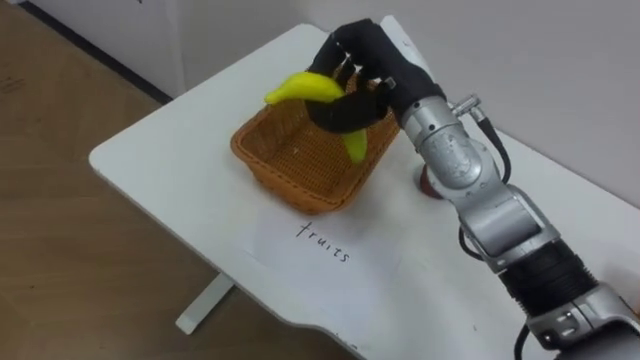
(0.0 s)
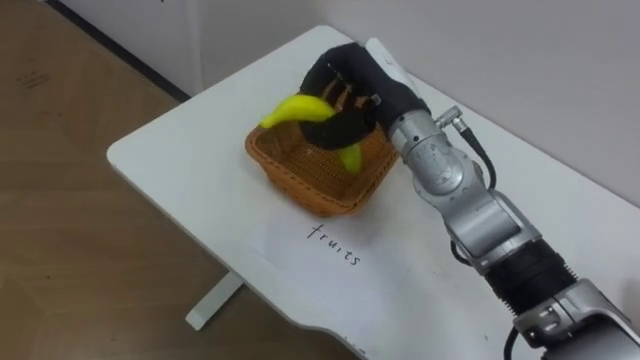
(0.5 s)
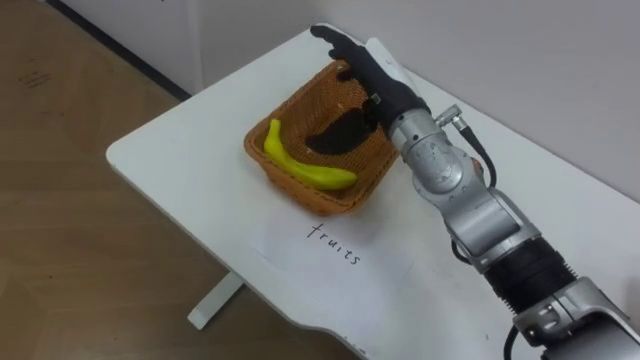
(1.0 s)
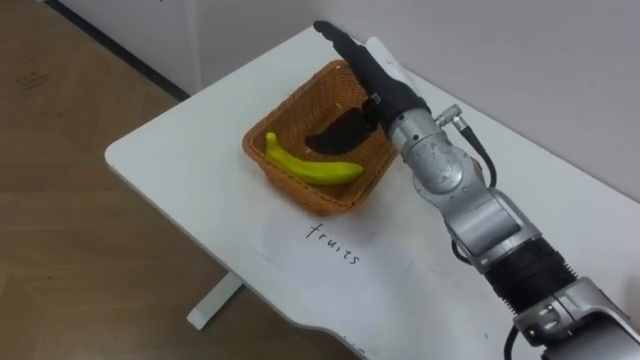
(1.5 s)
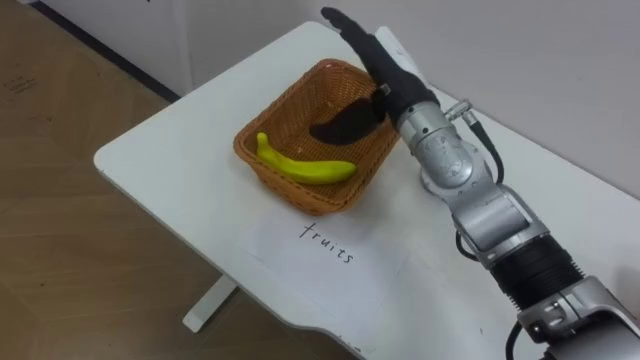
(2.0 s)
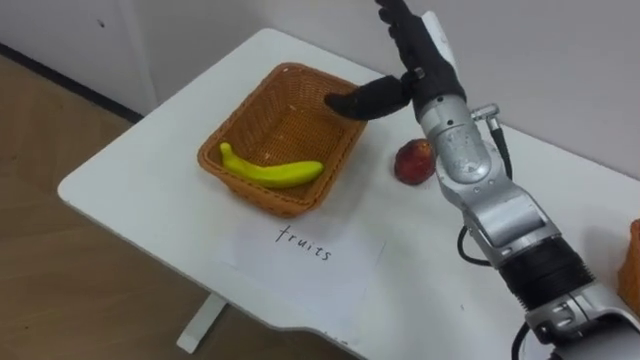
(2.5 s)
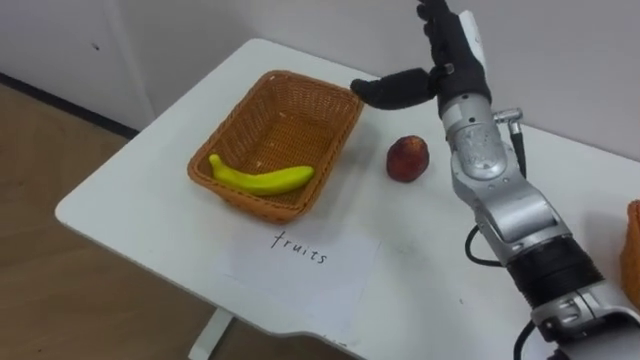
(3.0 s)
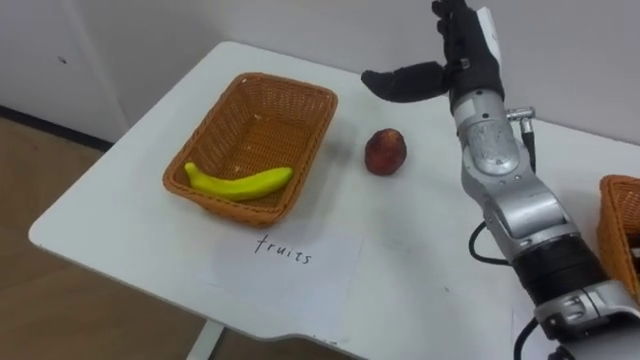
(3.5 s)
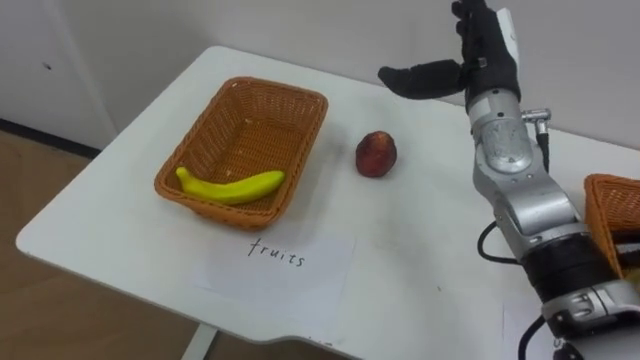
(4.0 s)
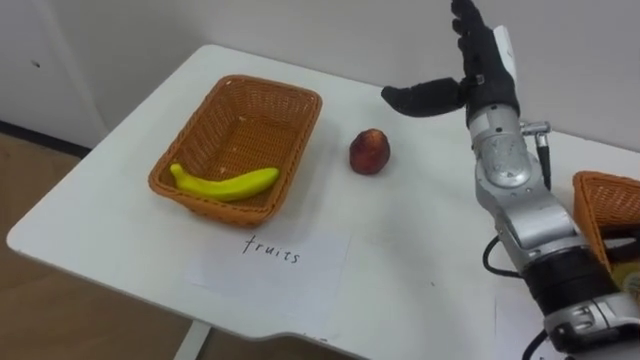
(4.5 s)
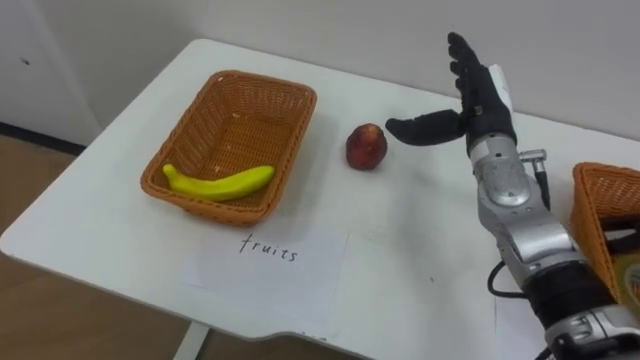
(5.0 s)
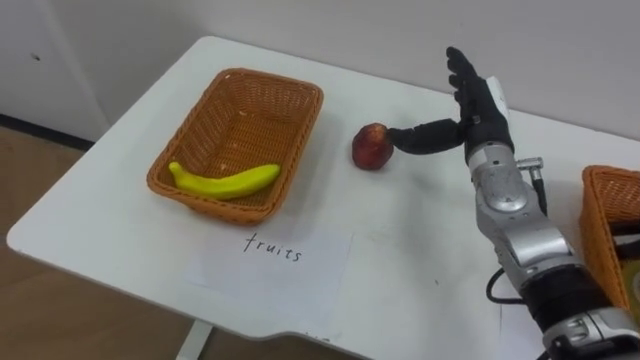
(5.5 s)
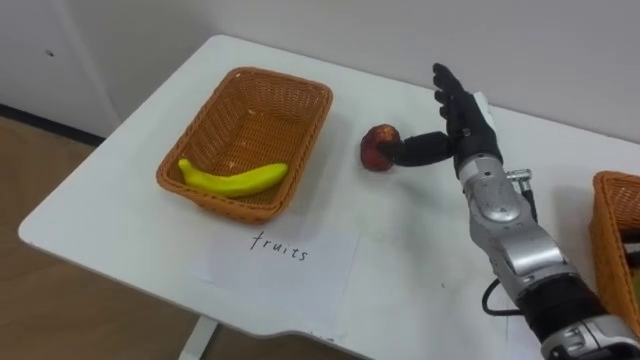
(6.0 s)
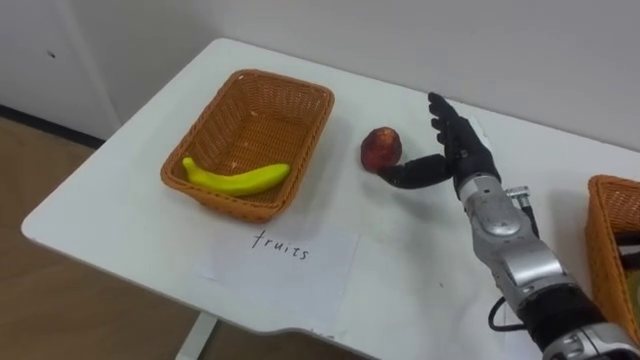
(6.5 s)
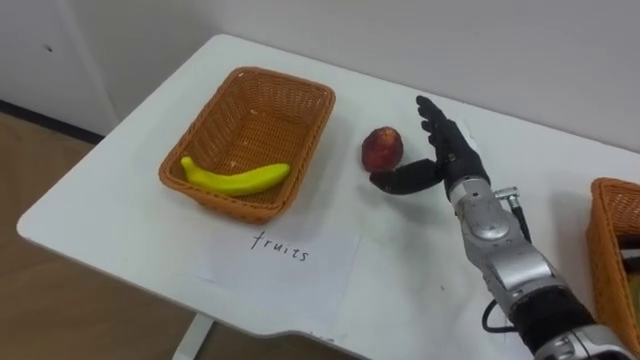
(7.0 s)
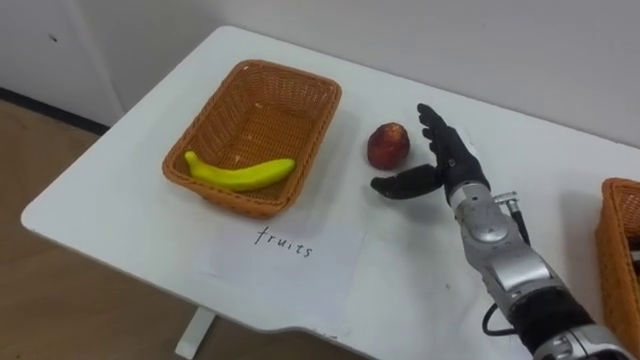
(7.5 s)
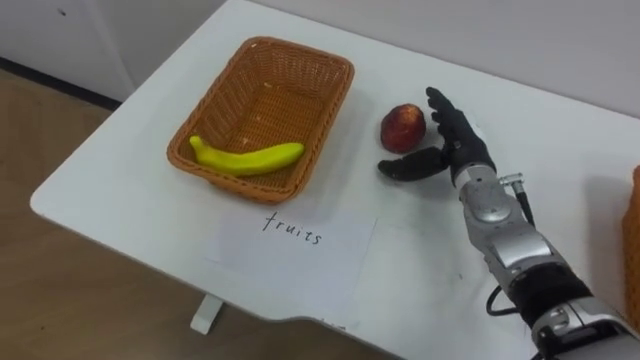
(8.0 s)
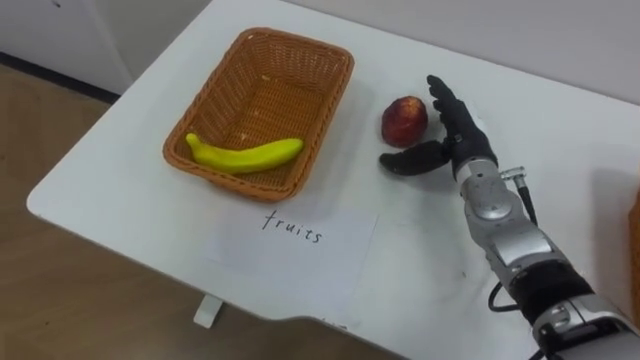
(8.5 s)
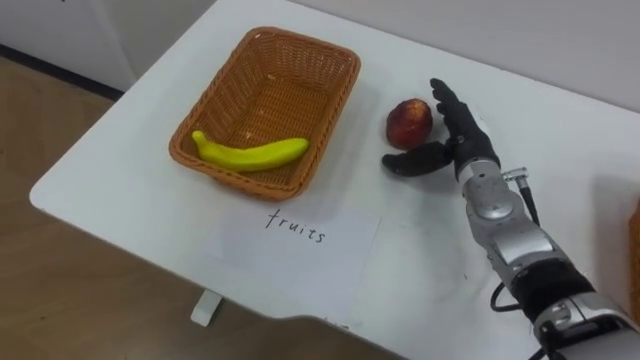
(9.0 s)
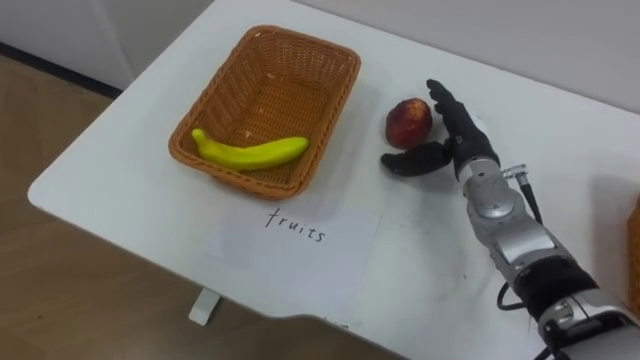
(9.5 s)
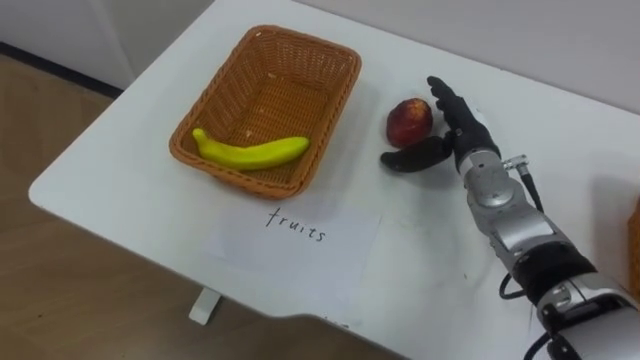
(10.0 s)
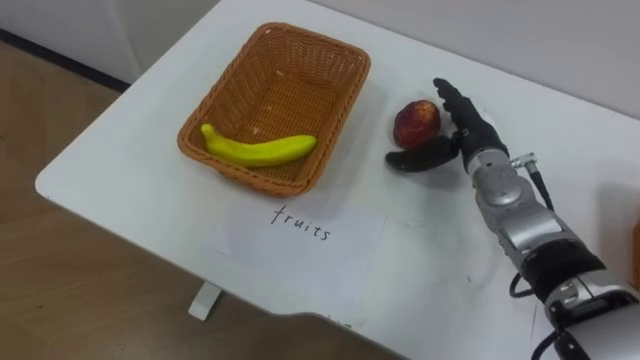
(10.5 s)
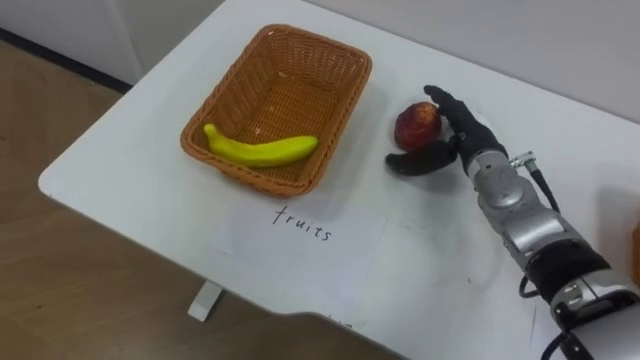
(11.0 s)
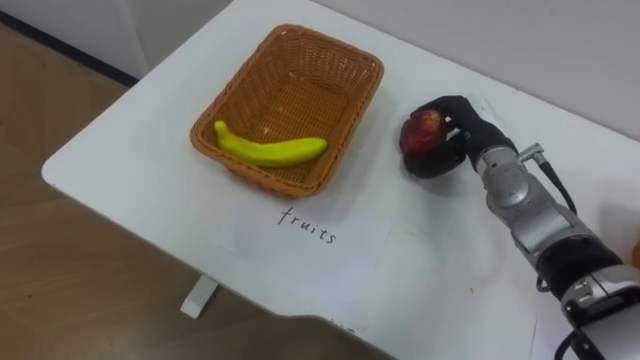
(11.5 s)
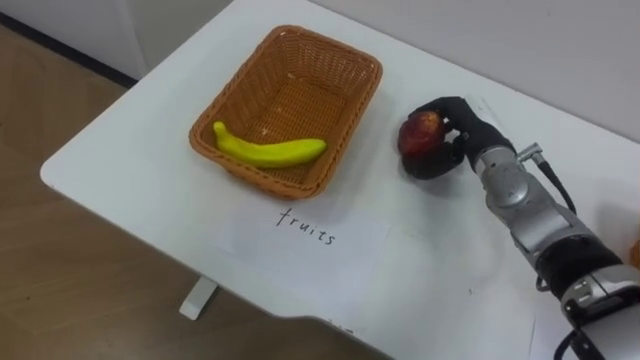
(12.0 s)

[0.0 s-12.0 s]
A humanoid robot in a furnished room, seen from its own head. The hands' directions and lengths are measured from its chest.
Task of the whole recording: Separate the items on the table and place them into the two baskets.
0.0 to 2.0 s: The right hand opens its fingers.
2.0 to 4.0 s: The right hand travels to the right by some 10 cm.
4.0 to 6.0 s: The right hand goes about 10 cm downward.
10.0 to 12.0 s: The right hand closes up.

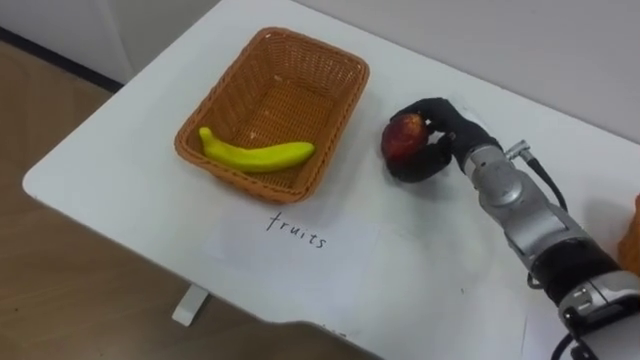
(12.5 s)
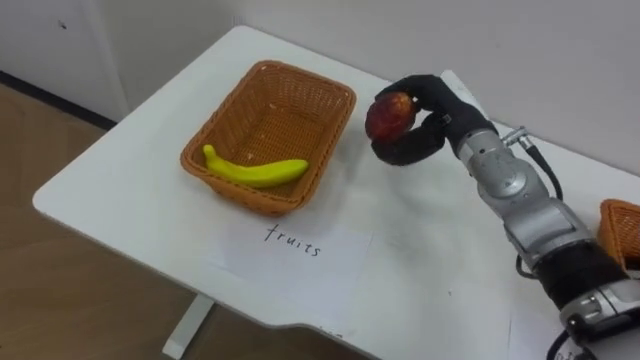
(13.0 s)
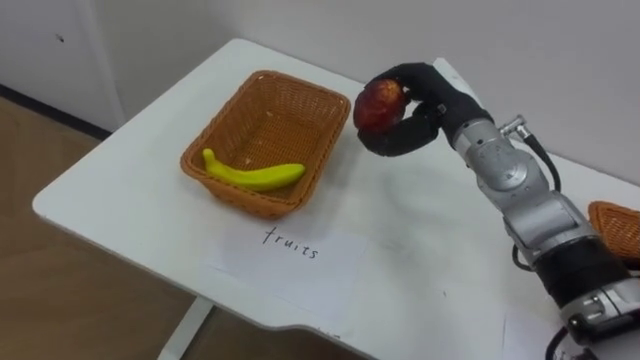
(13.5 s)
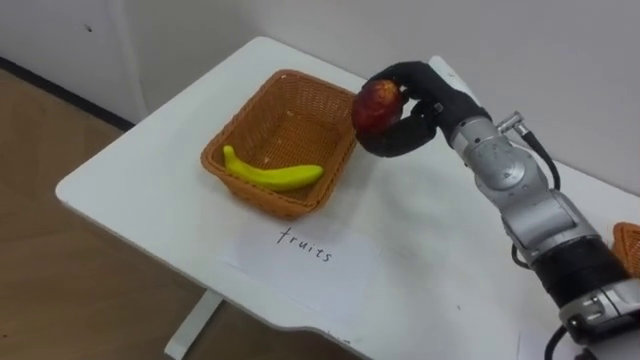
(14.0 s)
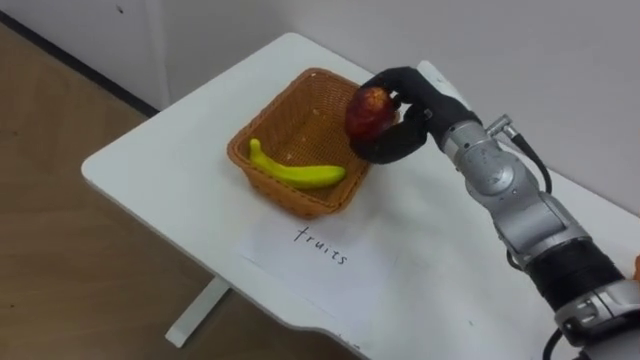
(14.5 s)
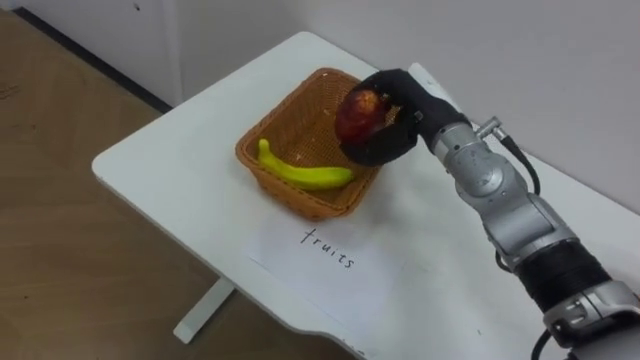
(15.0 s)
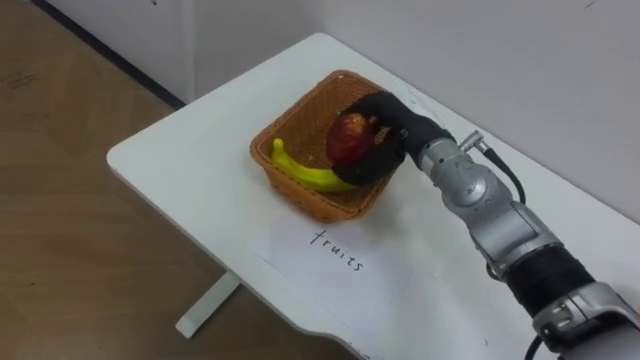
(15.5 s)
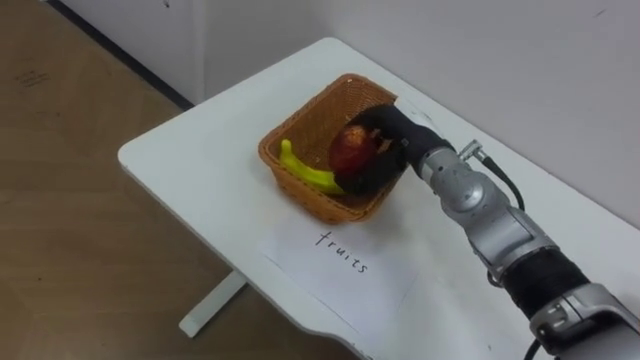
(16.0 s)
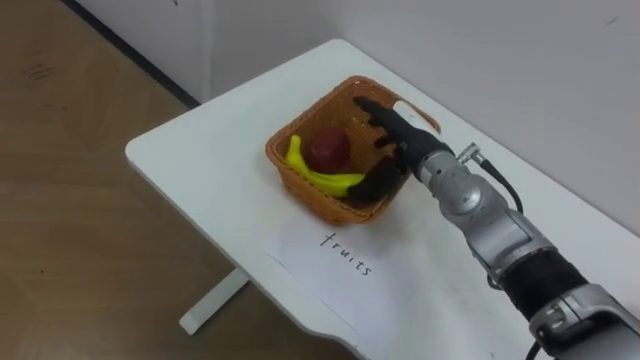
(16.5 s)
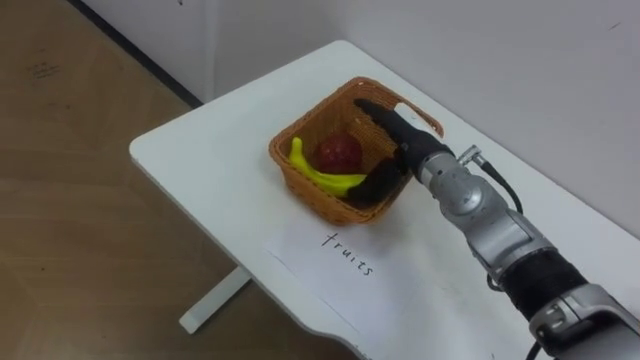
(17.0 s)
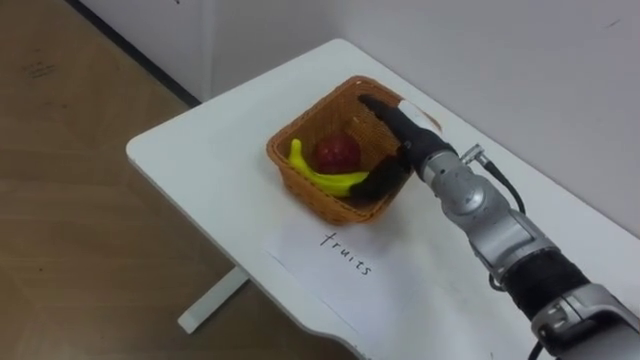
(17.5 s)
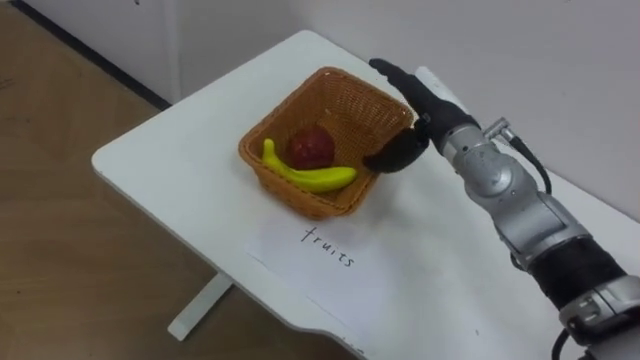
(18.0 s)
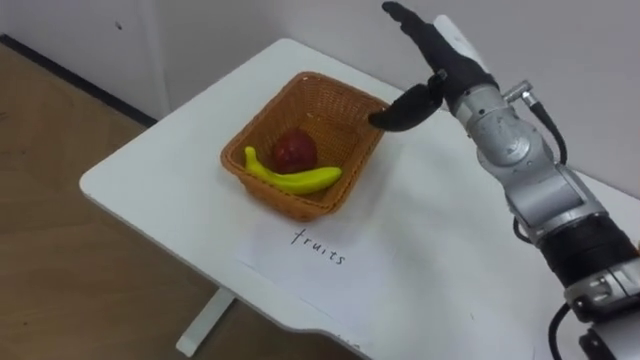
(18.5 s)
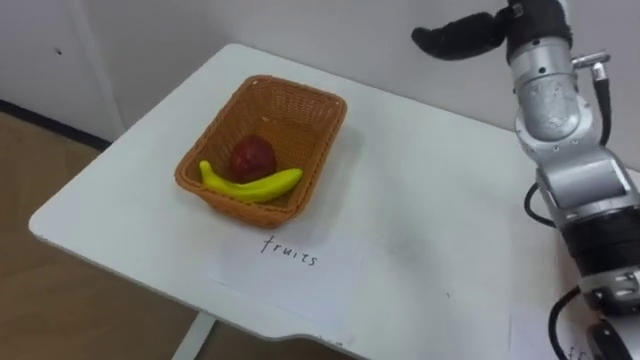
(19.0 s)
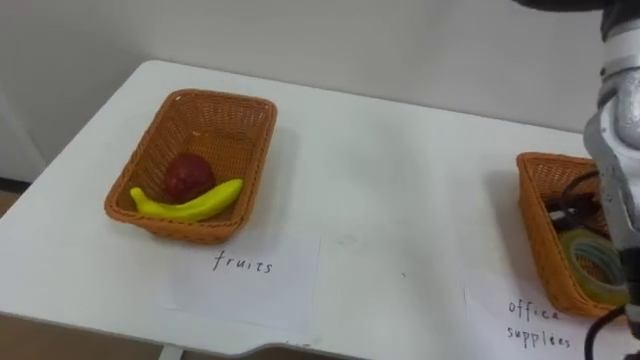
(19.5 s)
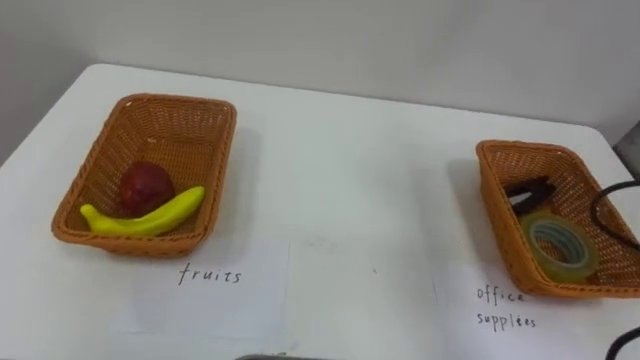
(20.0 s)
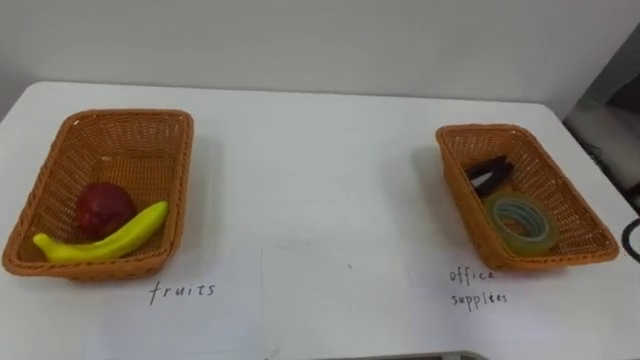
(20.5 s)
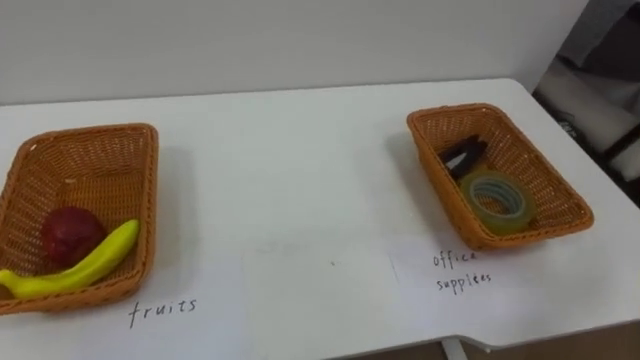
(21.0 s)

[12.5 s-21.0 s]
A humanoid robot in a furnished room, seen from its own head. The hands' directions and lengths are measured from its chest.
Task of the whole recording: Separate the items on the table and place them into the two baskets.
12.5 to 14.5 s: The right hand shifts approximately 5 cm upward.
14.5 to 16.5 s: The right hand travels downward by about 5 cm, and opens up.
16.5 to 19.0 s: The right hand moves upward and to the right, some 20 cm.
